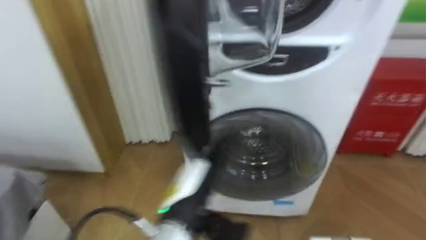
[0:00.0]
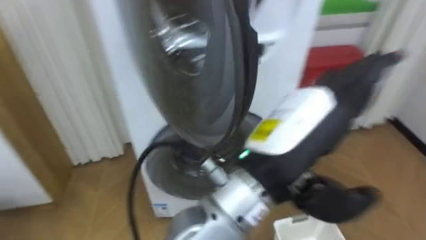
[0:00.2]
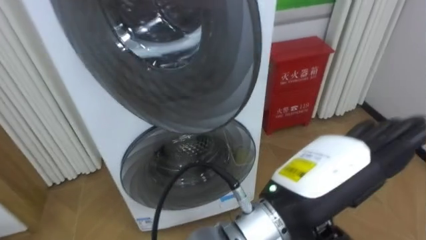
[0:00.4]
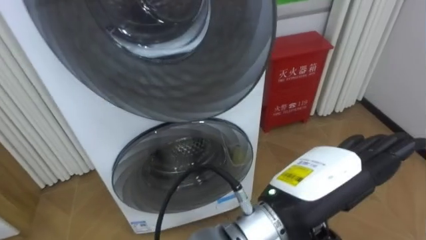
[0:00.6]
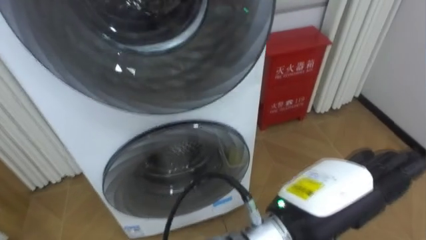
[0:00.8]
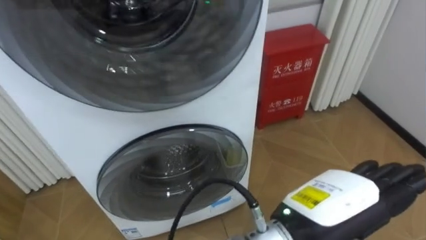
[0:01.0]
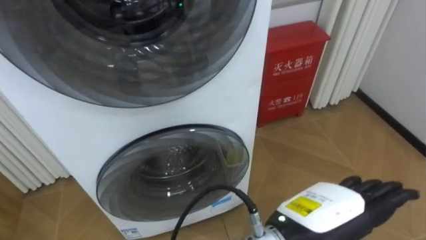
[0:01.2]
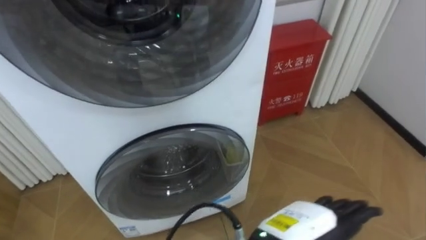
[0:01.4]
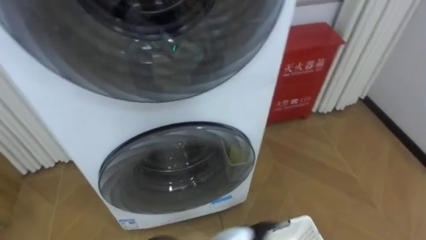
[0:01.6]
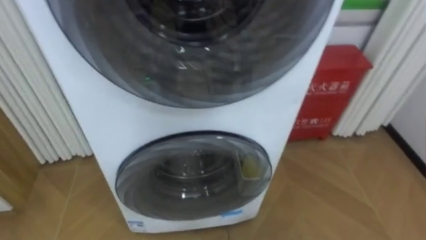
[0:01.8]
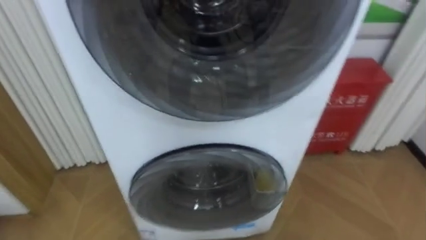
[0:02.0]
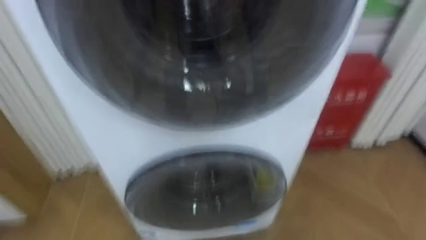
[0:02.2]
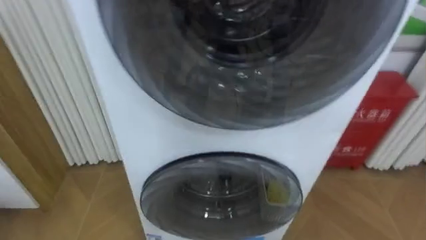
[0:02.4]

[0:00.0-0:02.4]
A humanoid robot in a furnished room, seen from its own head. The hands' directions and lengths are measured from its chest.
Task of the whole recording: Open the washing machine door, take out the yellow clothes, place them in the box on the right, and close the washing machine door.
0:00.0 to 0:01.2: The left hand goes roughly 20 cm to the right.

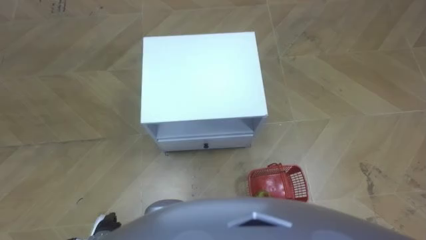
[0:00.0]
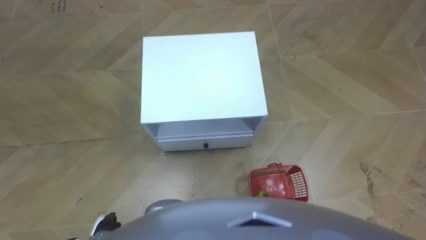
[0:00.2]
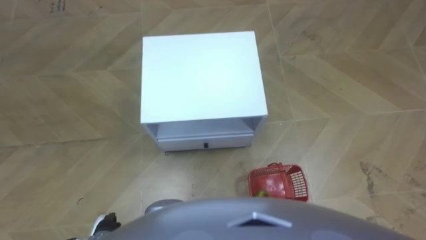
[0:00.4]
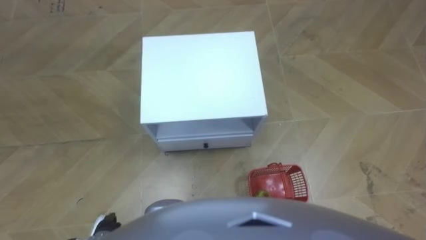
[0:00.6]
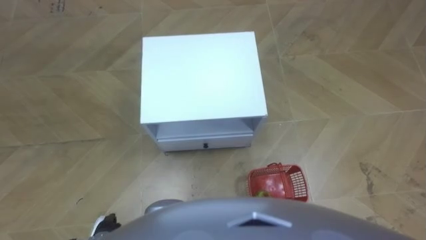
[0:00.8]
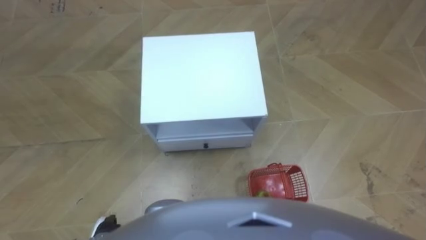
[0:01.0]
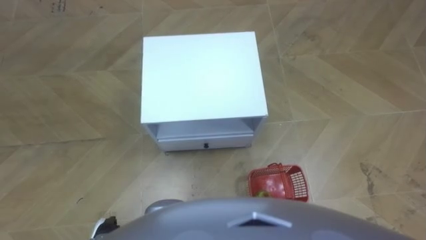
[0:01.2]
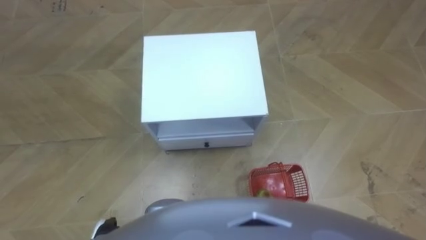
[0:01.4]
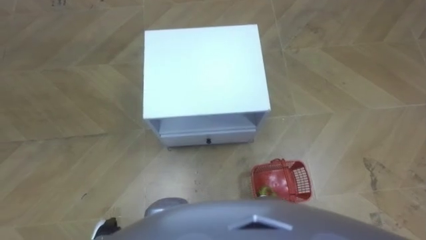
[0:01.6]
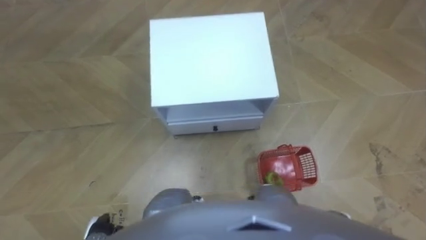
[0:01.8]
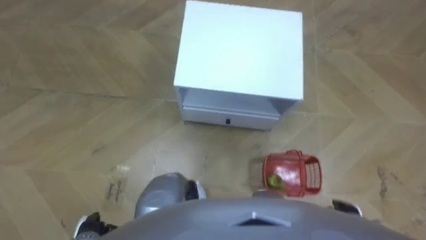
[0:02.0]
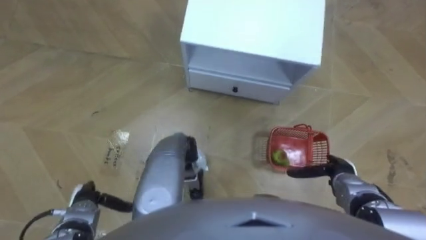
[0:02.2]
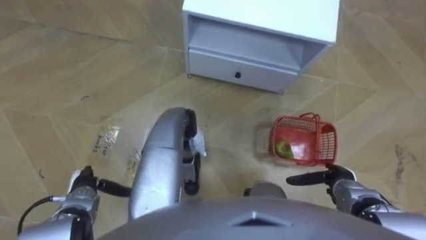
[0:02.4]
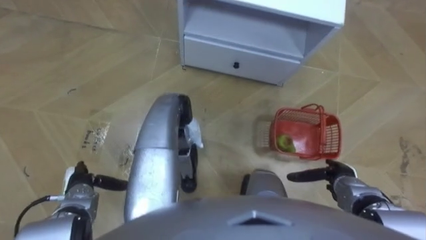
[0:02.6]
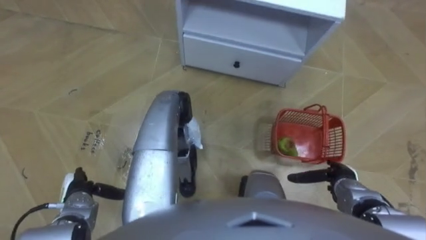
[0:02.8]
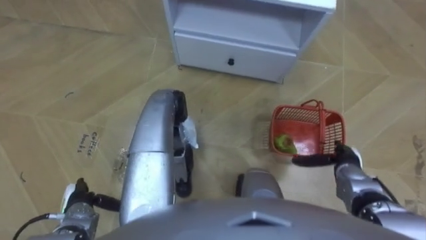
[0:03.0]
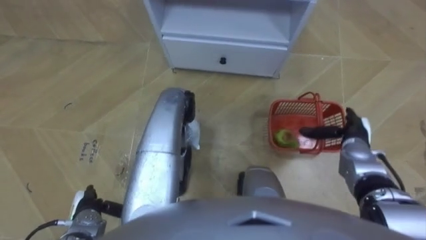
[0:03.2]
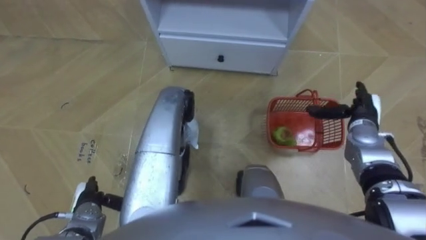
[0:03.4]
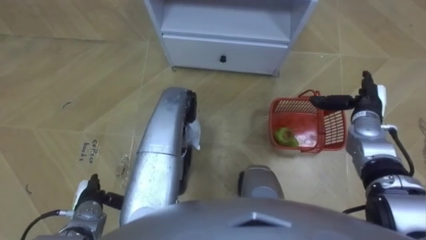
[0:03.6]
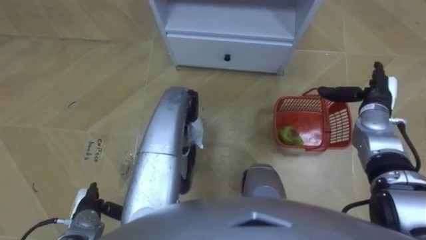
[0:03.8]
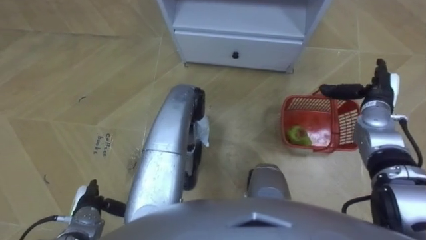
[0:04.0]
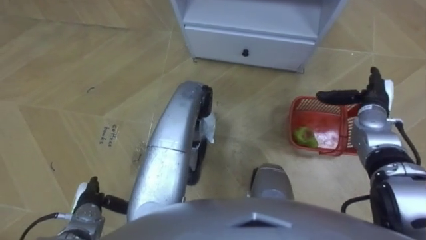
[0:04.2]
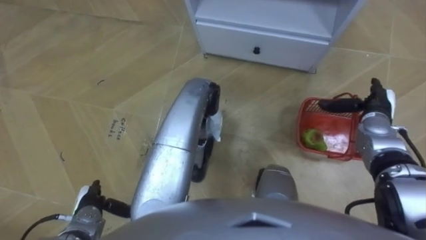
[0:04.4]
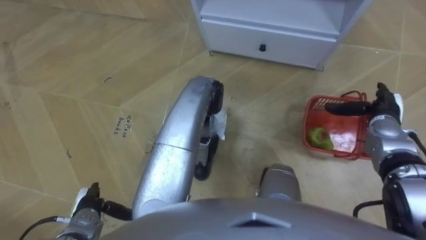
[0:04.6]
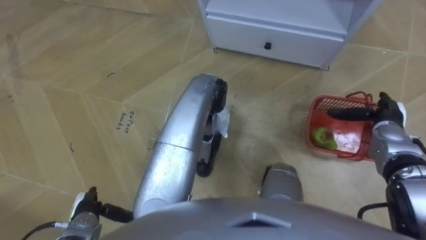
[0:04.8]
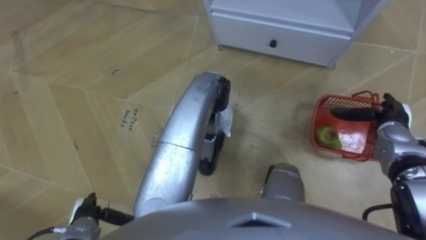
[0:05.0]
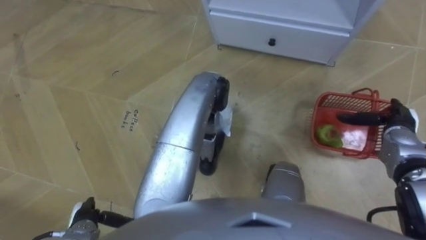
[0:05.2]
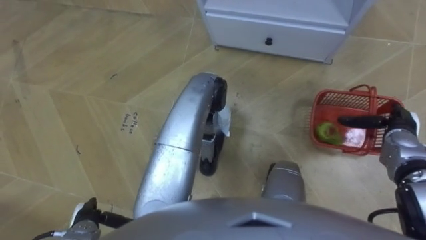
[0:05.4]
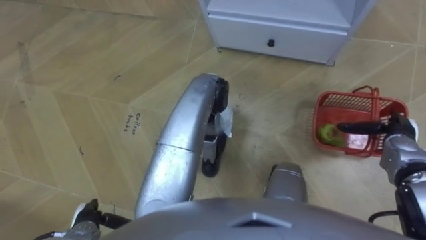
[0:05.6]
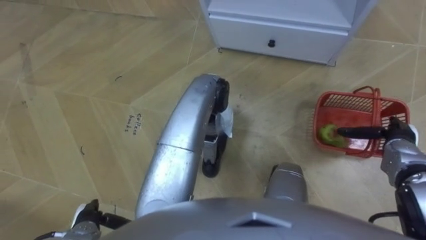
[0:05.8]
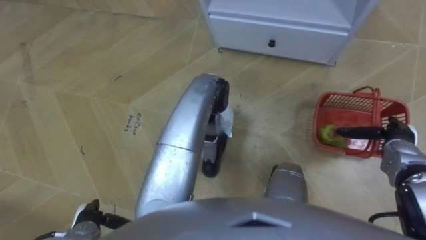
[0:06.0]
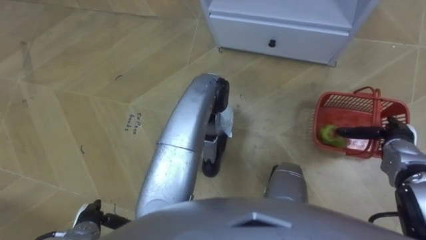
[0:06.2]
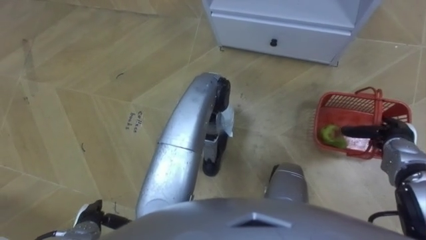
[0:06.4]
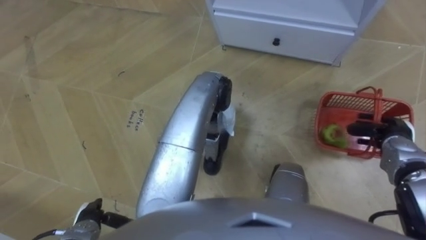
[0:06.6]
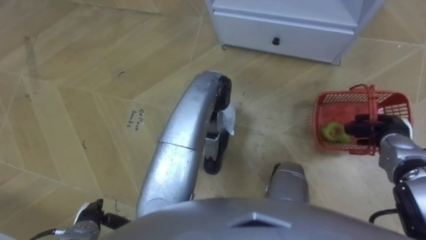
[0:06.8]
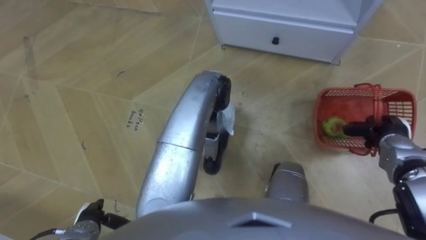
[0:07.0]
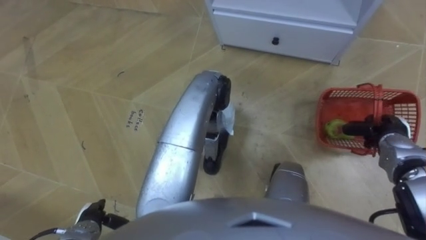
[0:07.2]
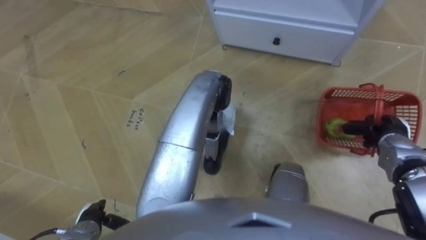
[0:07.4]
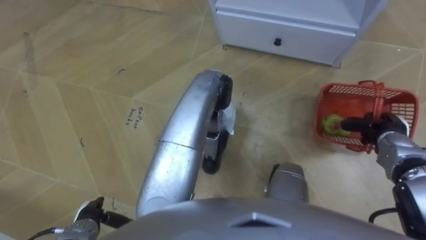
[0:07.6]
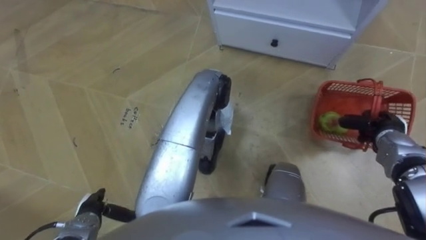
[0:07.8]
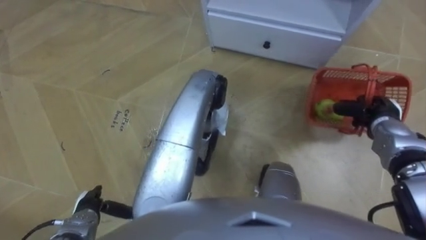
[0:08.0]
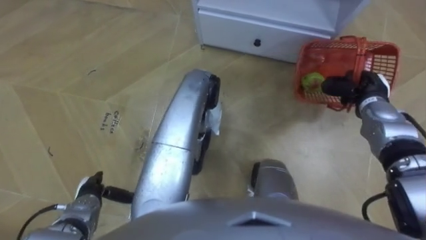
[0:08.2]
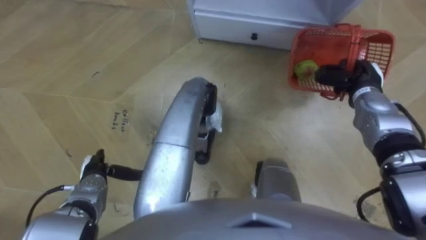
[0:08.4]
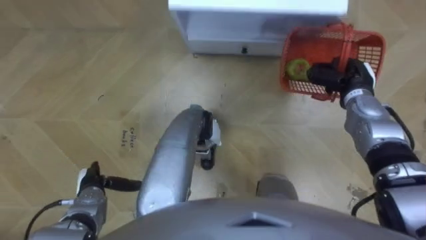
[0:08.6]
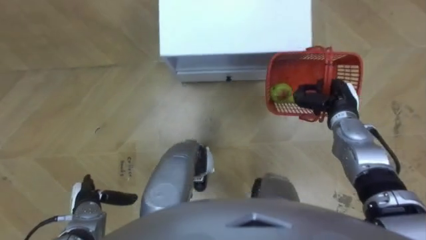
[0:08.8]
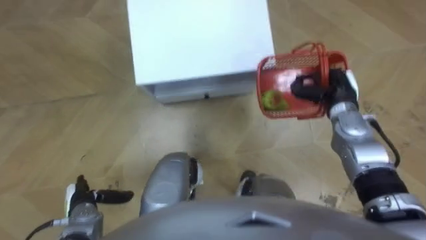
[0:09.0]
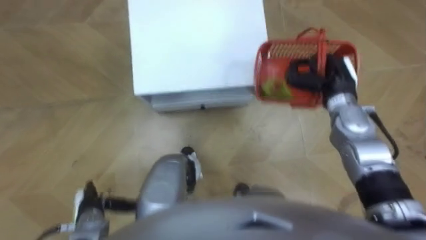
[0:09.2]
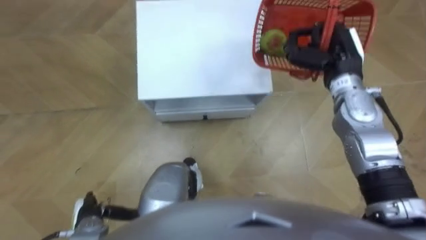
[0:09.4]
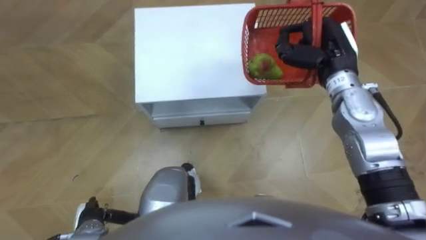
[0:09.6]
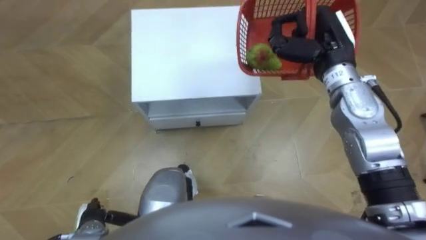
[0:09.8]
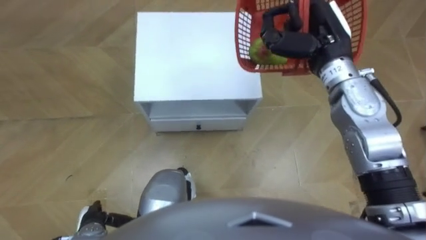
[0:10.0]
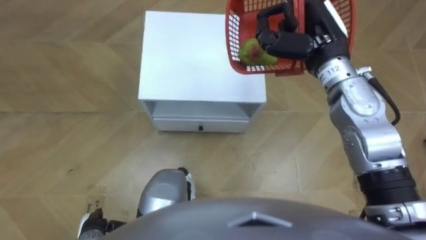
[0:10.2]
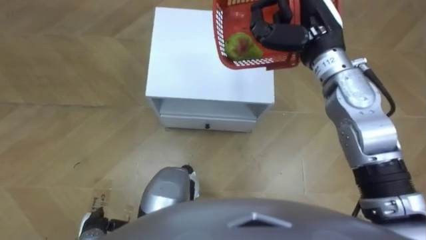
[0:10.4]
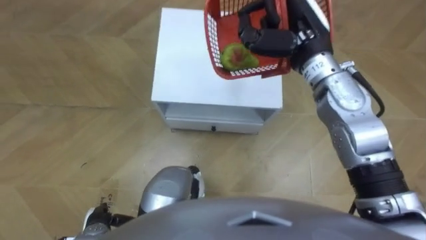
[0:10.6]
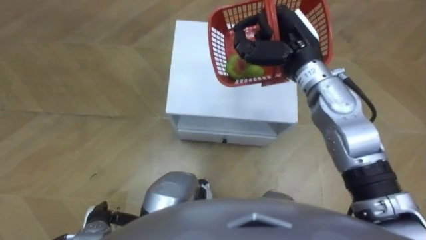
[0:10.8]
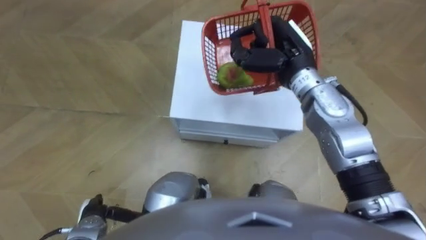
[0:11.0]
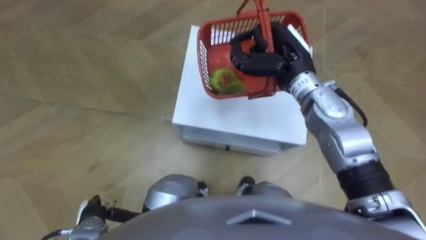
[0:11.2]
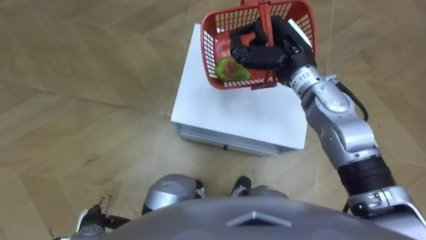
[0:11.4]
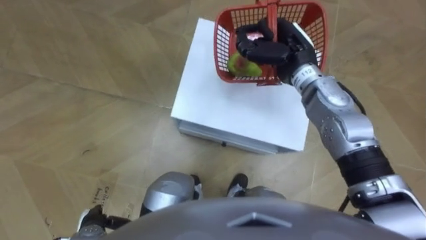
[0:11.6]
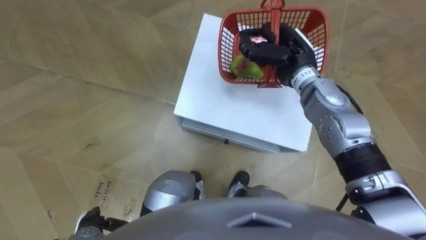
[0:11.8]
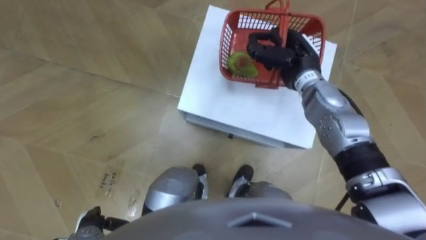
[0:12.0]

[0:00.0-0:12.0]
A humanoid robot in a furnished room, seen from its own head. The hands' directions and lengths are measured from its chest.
Task of the whole recording: Pick up the fruit basket from the floor and place it on the cabinet.
0:01.6 to 0:03.0: The robot rotates roughly 15 degrees to its left. The right hand goes about 15 cm forward; the left hand travels forward and to the left by approximately 10 cm.
0:03.0 to 0:04.4: The right hand goes approximately 15 cm forward and upward.
0:04.4 to 0:06.0: The right hand moves backward, approximately 5 cm.
0:06.0 to 0:07.6: The right hand closes up.
0:07.6 to 0:09.0: The robot turns to its right by some 25 degrees. The right hand is displaced to the left, forward and upward by about 15 cm; the left hand reaches about 10 cm forward, then returns.
0:09.0 to 0:10.4: The right hand heads upward and to the left, covering about 15 cm. The left hand shifts some 5 cm backward.
0:10.4 to 0:12.0: The right hand goes some 10 cm downward.

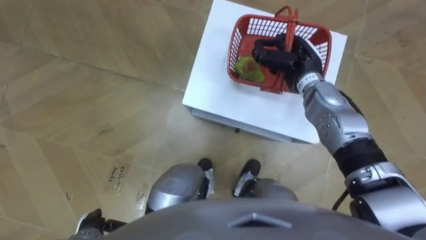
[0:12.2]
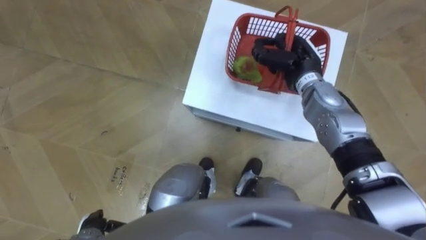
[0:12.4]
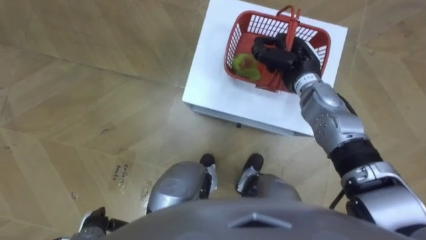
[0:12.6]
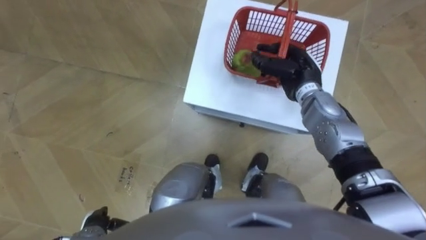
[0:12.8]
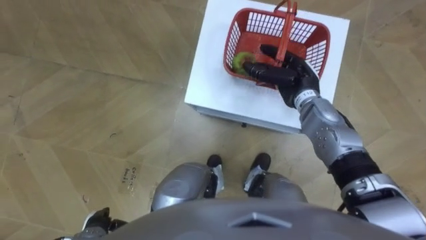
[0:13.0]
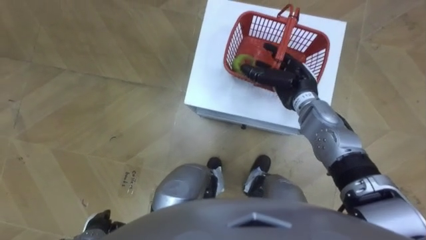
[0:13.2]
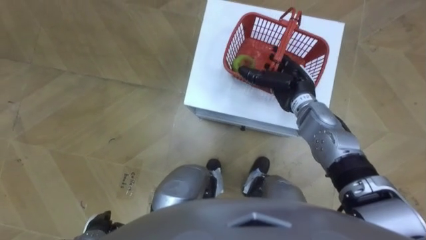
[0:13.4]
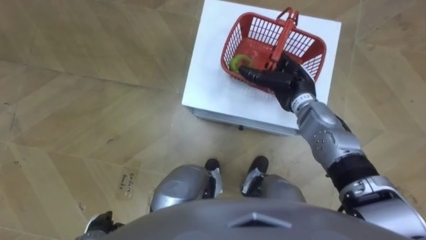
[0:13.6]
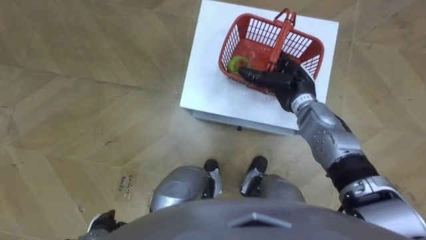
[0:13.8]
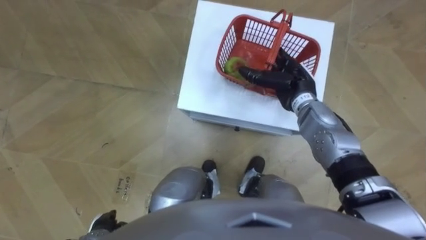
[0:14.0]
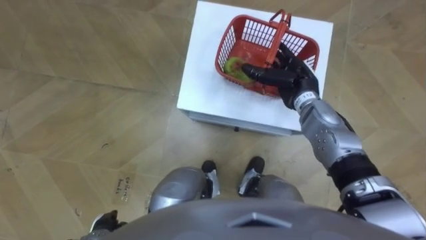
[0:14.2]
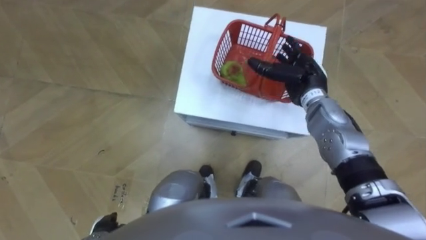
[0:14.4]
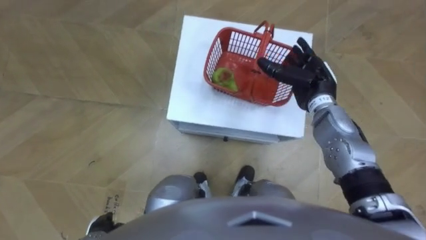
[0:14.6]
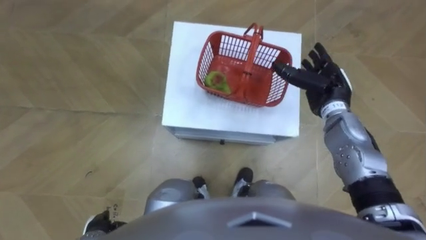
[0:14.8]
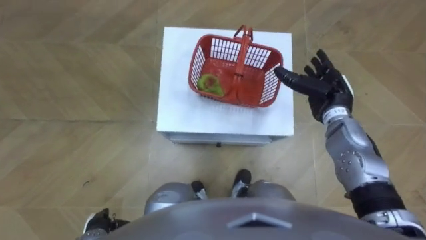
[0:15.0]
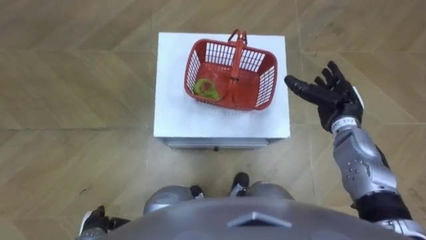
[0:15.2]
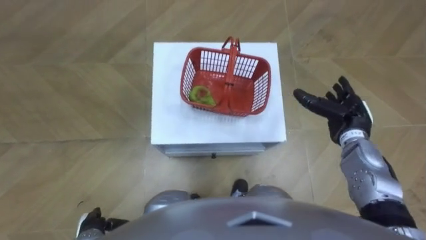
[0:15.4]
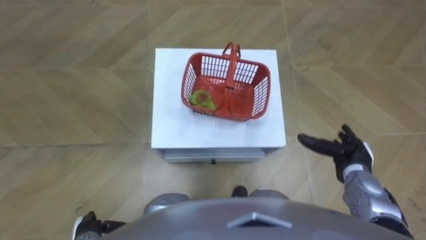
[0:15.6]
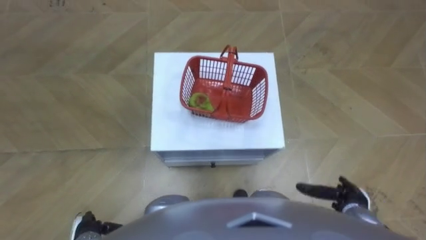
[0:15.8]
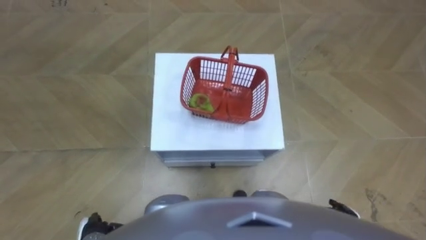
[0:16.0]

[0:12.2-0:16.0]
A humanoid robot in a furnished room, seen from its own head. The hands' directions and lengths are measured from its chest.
Task of the whole recording: Pick up the fruit basket from the floor and place it on the cabinet.
0:12.2 to 0:13.4: The right hand opens.
0:13.4 to 0:14.8: The right hand is displaced to the right by some 5 cm.
0:14.8 to 0:16.0: The right hand shifts approximately 30 cm backward and downward.
